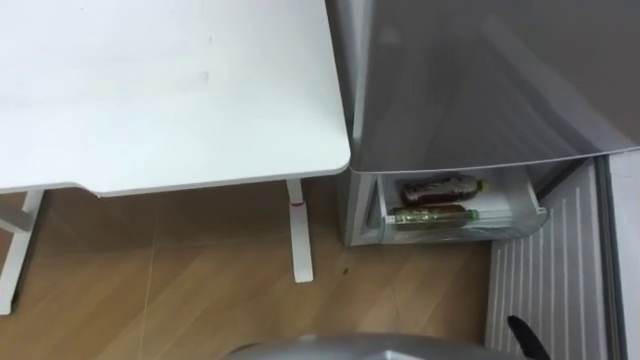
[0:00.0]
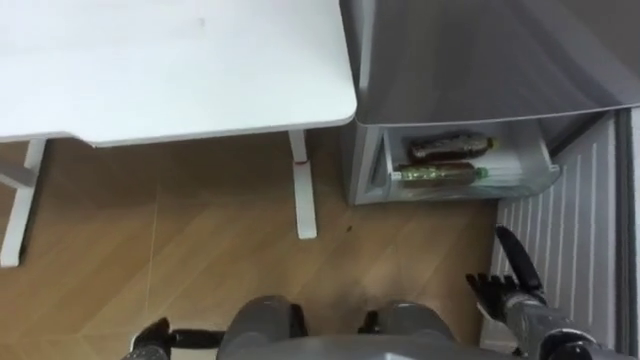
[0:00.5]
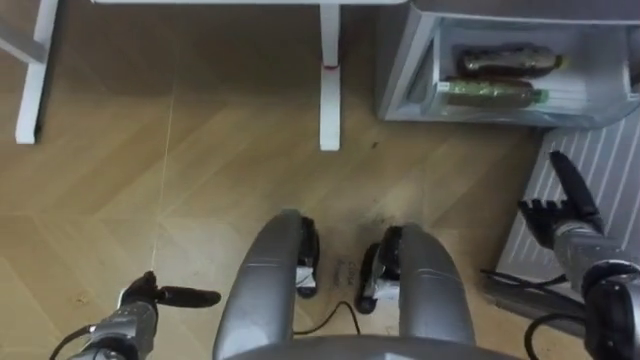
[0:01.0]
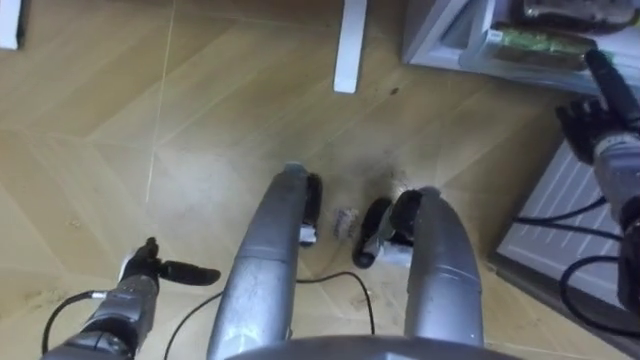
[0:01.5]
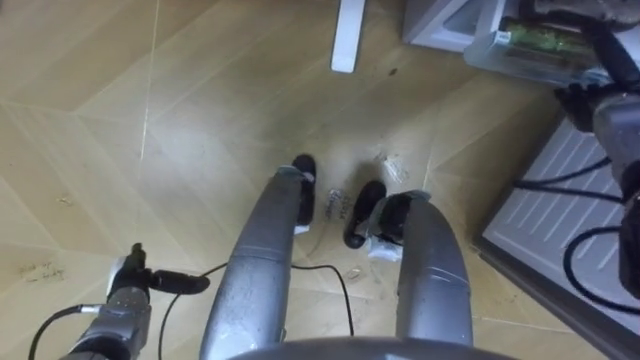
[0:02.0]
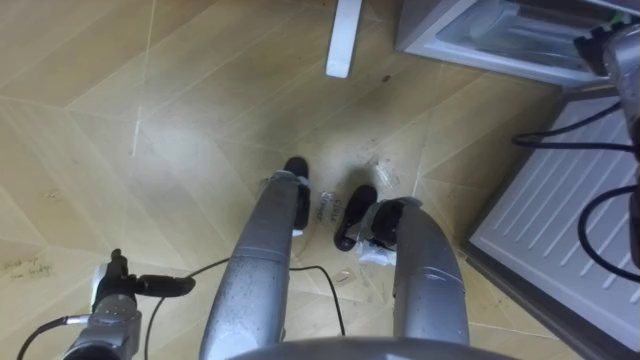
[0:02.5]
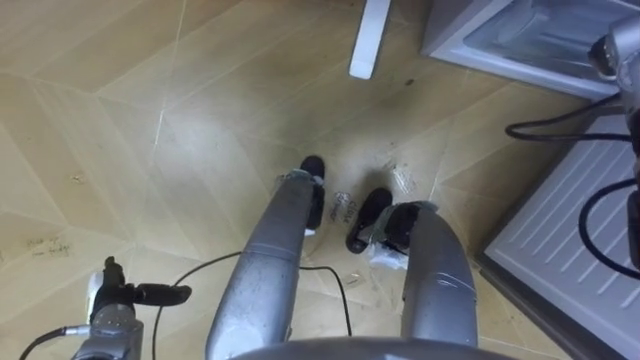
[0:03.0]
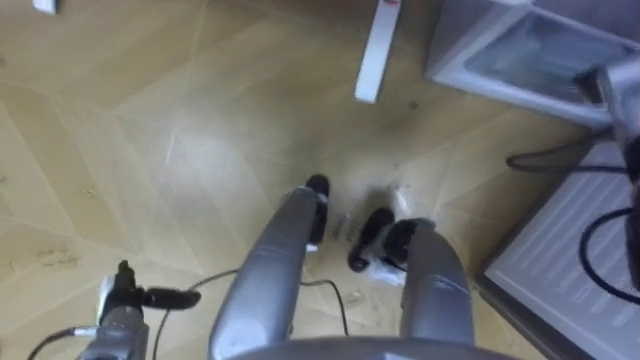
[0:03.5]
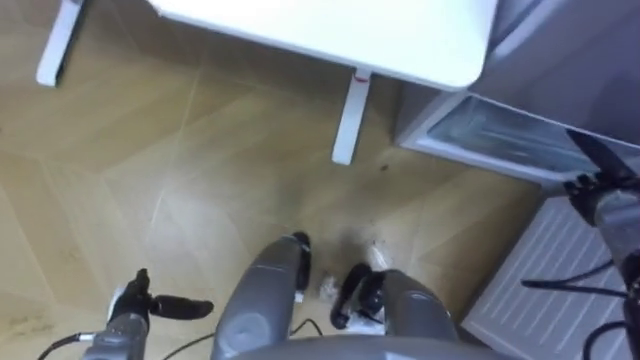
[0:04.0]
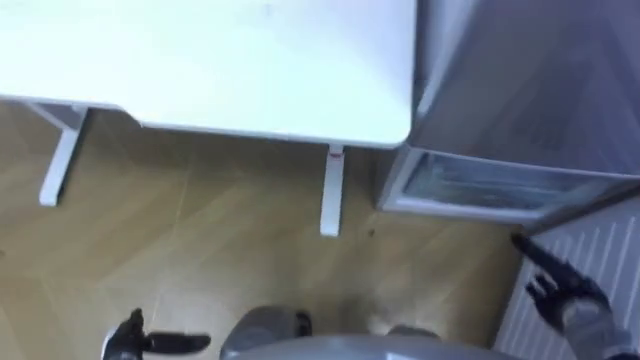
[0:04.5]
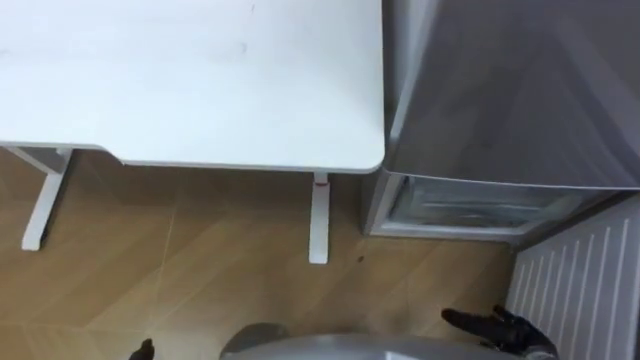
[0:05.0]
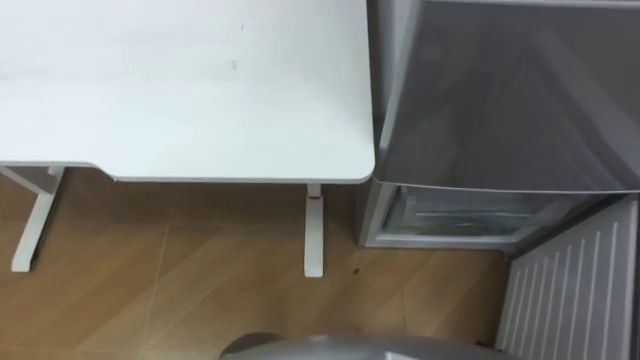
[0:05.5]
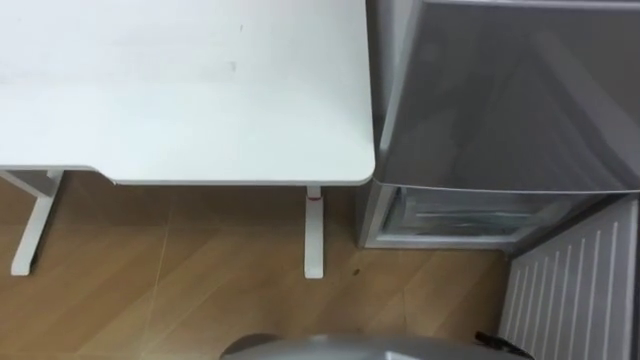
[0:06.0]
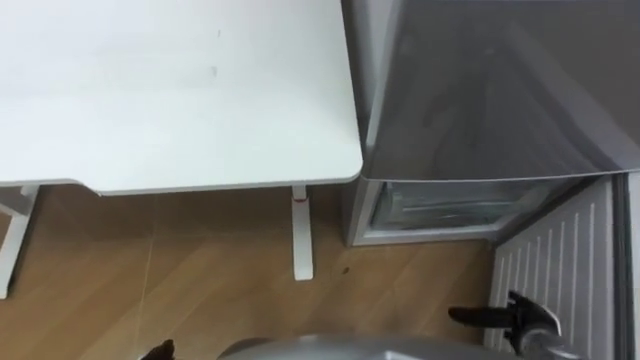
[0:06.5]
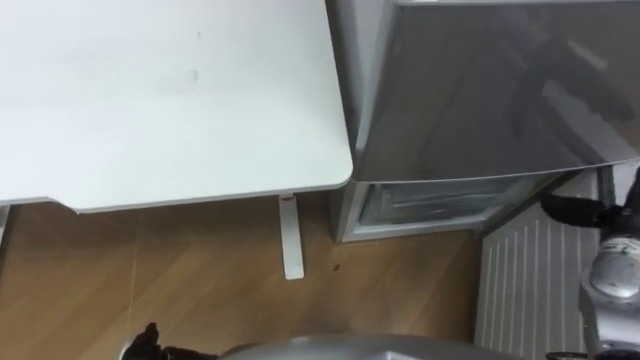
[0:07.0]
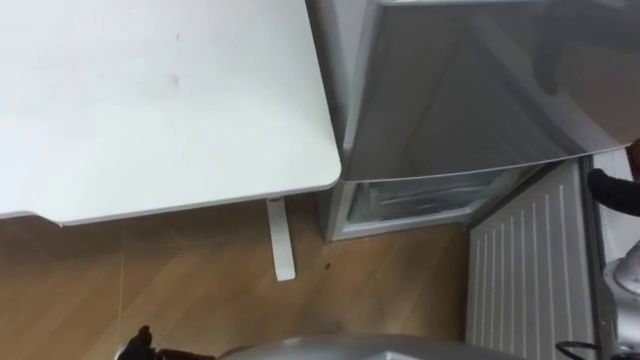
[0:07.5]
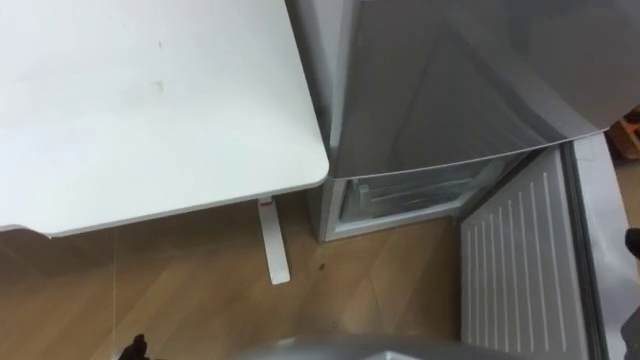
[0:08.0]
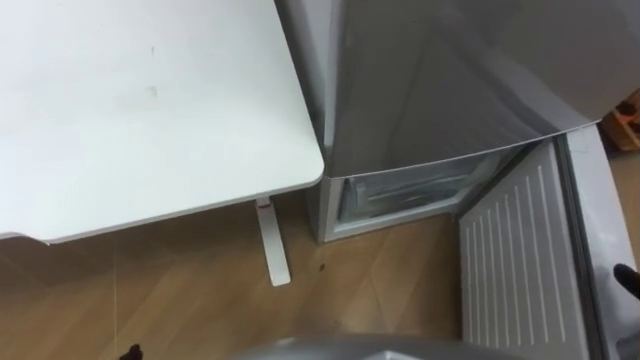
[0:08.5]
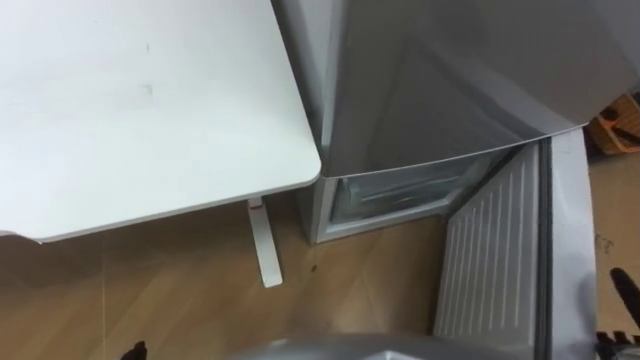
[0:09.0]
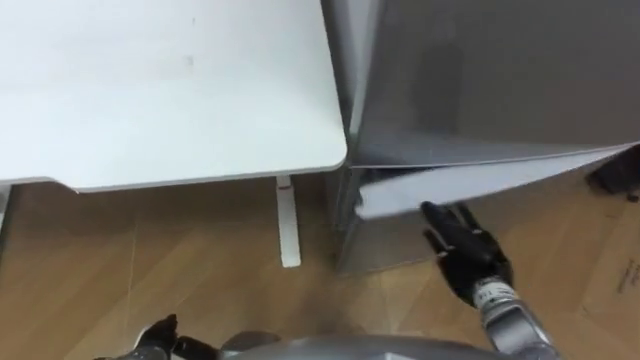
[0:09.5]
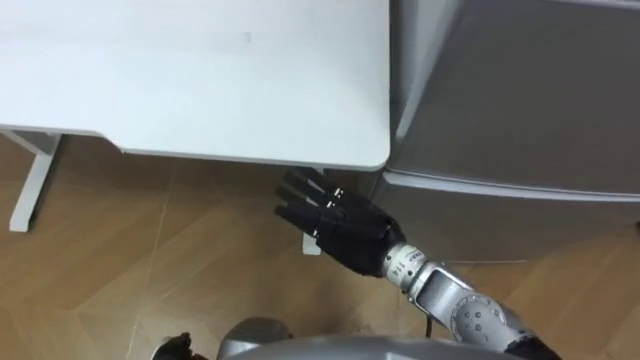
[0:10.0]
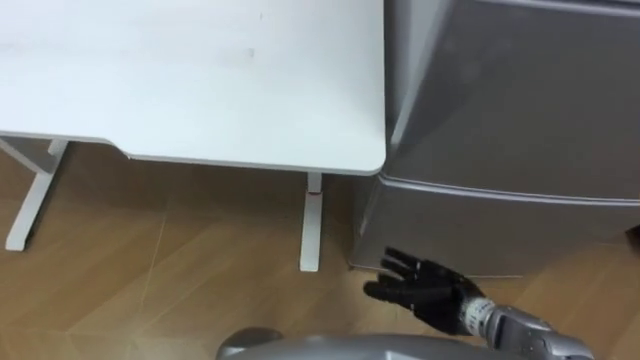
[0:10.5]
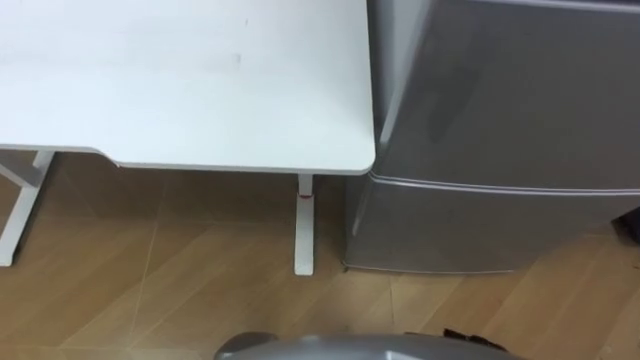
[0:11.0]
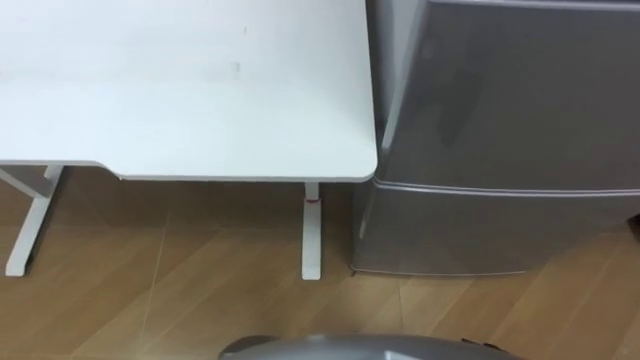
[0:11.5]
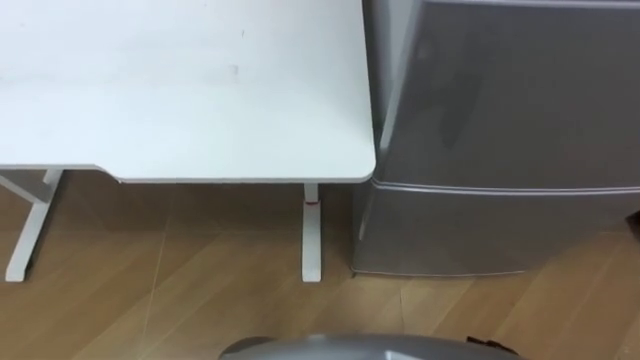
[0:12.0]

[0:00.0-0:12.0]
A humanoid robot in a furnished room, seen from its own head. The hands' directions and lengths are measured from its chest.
Task of the whole recording: Place the drink on the table on the bottom shelf of the refrigerator, then close the drawer and the refrigerator door.
0:02.0 to 0:04.0: The right hand heads backward and downward, covering about 10 cm.

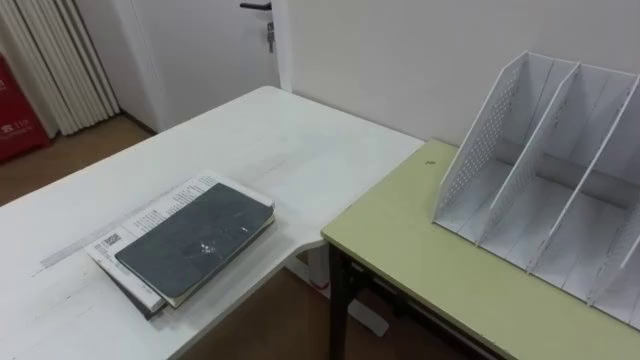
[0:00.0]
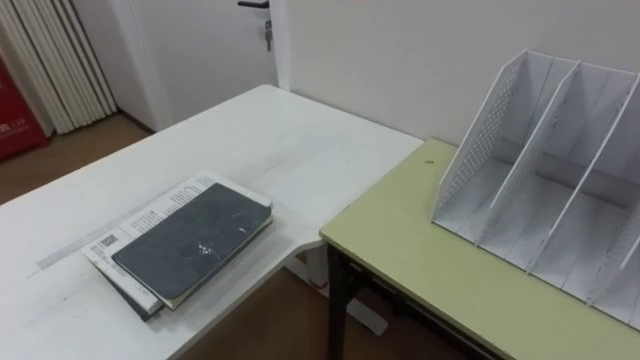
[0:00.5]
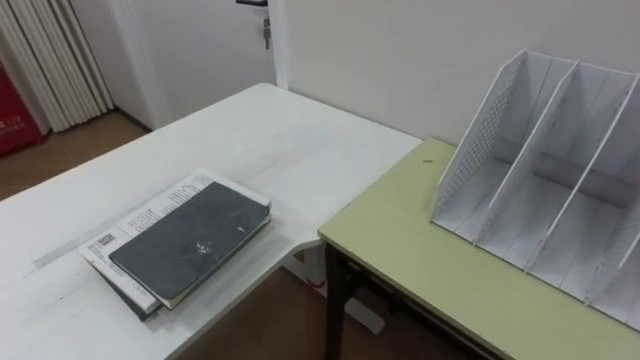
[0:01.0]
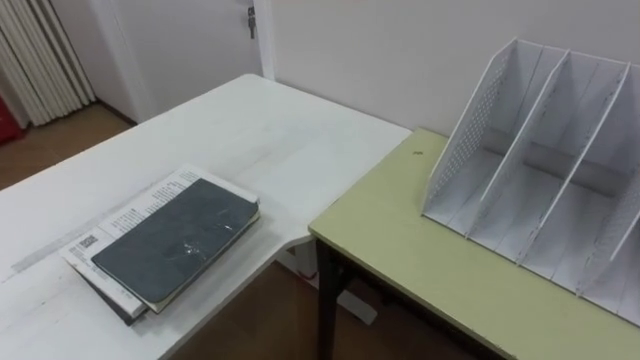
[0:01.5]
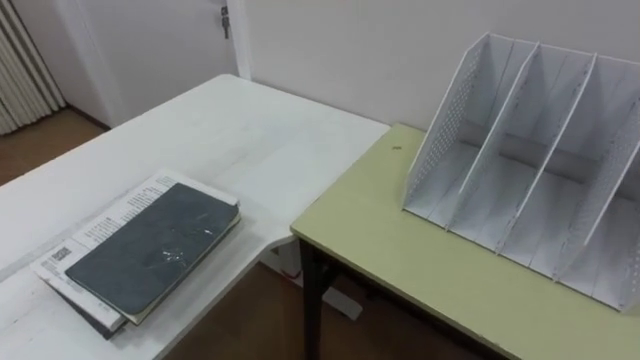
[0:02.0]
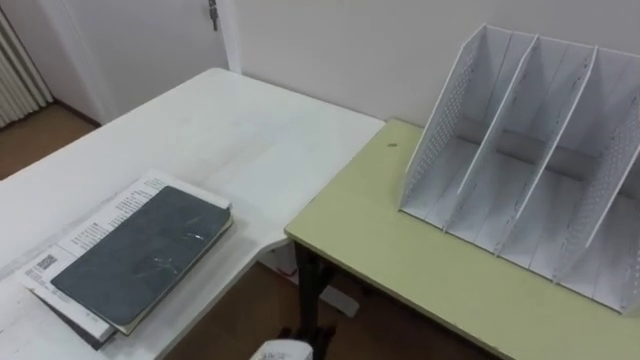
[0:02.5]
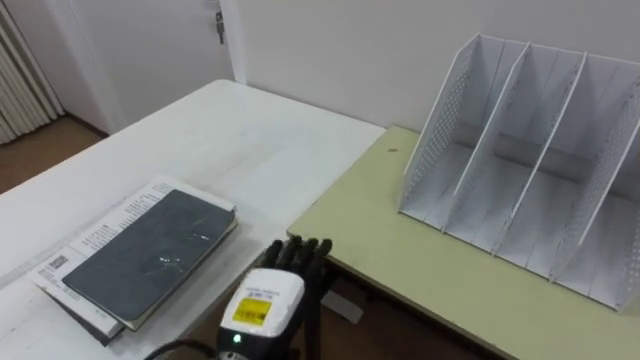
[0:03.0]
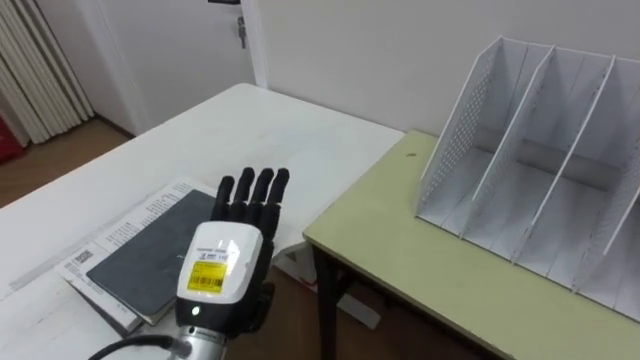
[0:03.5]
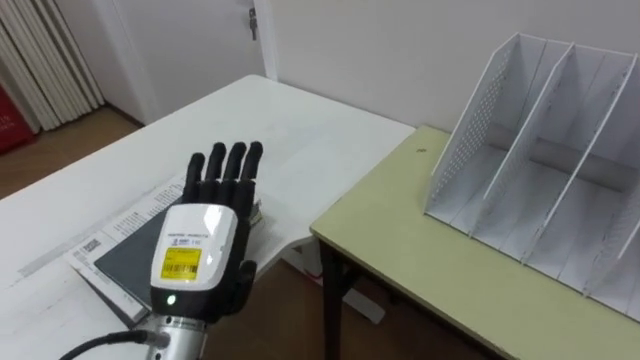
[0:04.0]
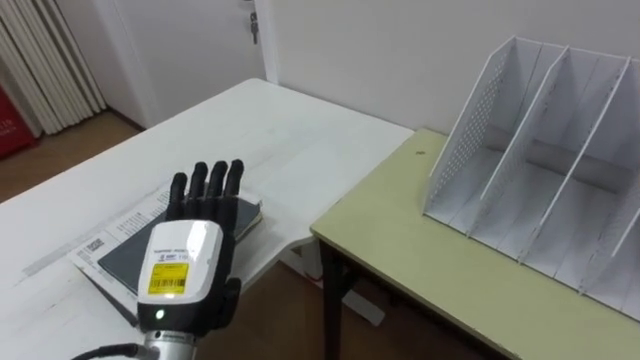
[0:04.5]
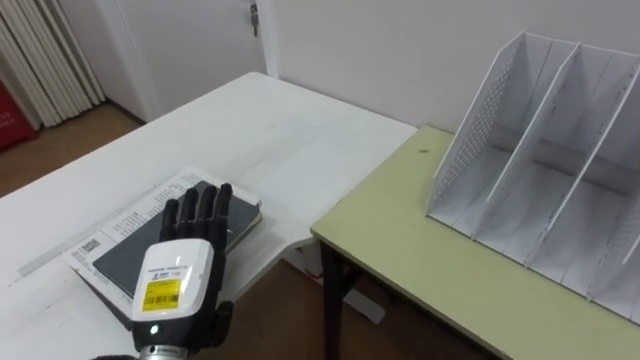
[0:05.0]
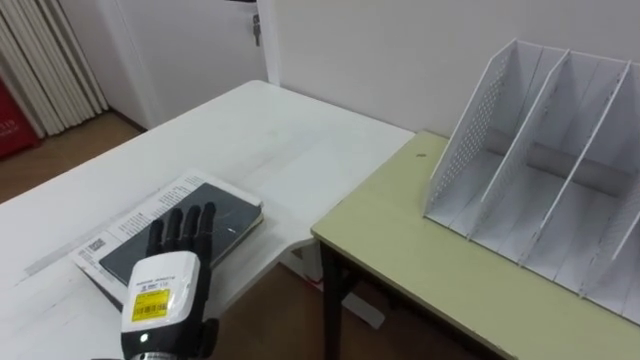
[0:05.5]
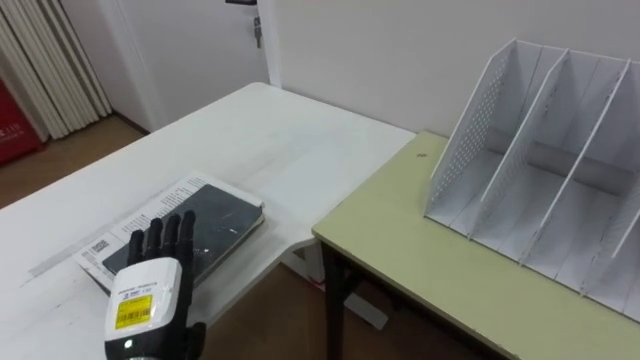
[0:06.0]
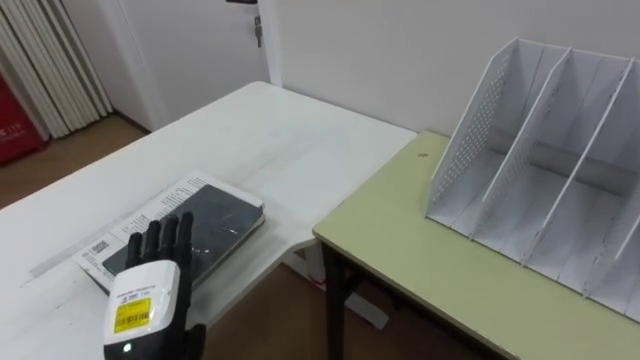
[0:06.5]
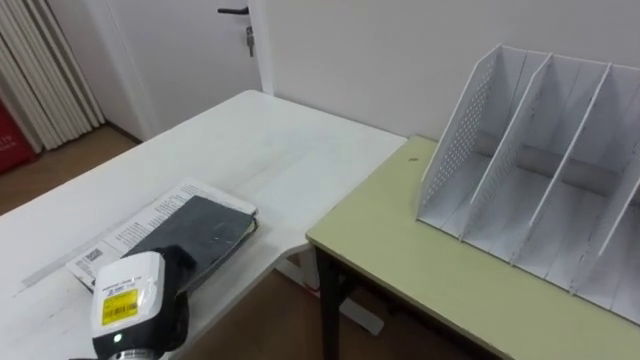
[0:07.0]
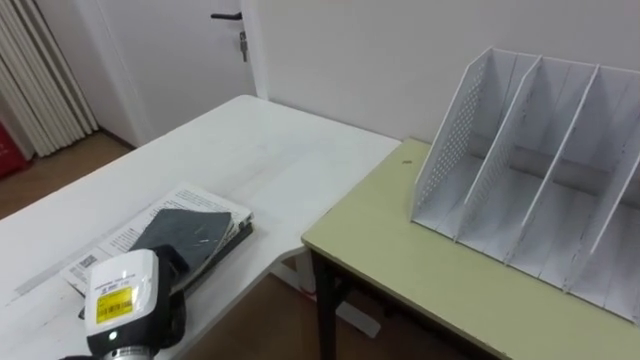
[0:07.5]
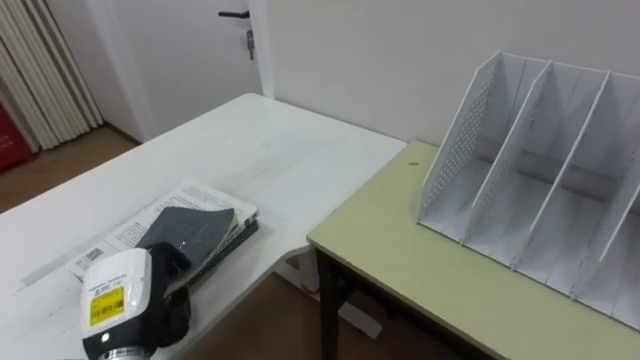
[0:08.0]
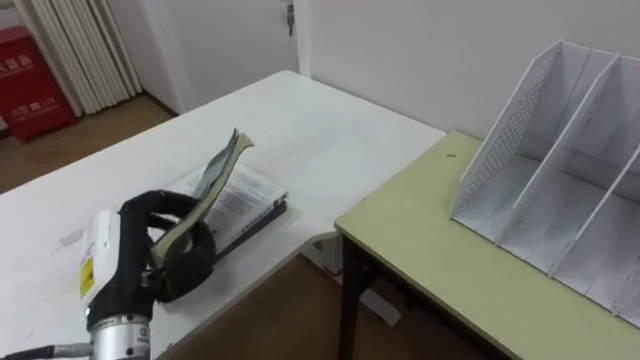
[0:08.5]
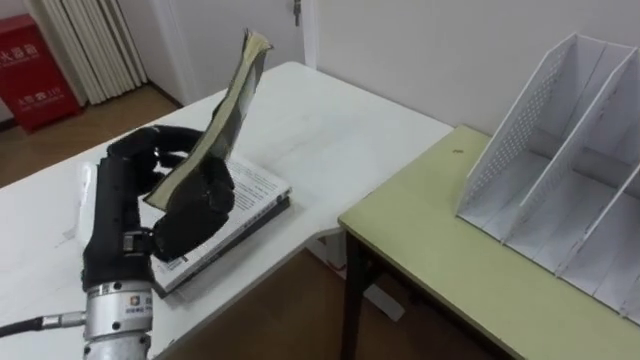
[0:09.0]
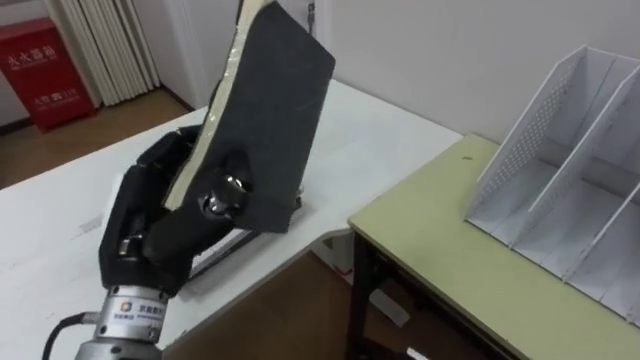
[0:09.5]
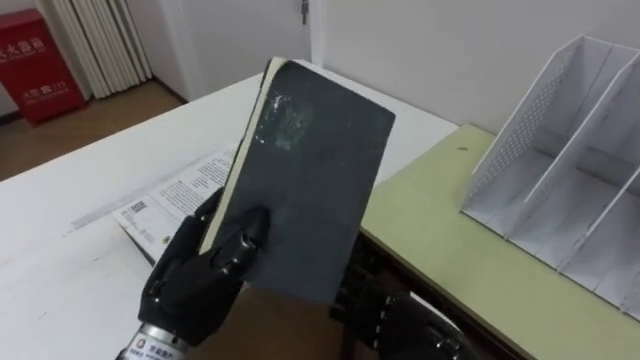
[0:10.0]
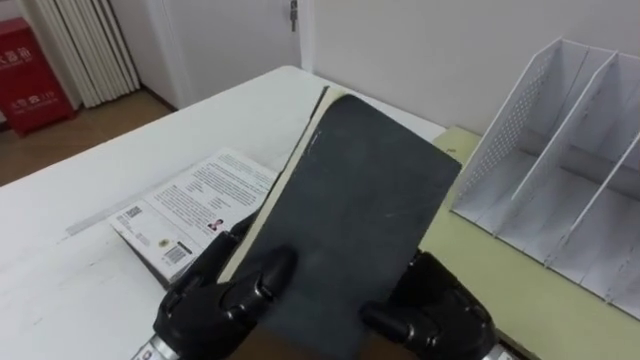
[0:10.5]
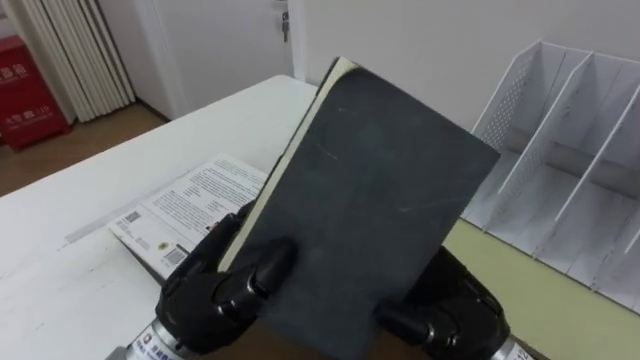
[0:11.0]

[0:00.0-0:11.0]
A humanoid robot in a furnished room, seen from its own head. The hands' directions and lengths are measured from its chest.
Task of the whole recording: Put the books on the table onto the bookshelf.
0:03.5 to 0:05.5: The left hand travels to the left by about 5 cm.
0:05.5 to 0:07.5: The left hand closes its fingers.
0:07.5 to 0:09.0: The left hand moves upward, some 15 cm.
0:09.0 to 0:11.0: The left hand moves to the right, about 10 cm.
